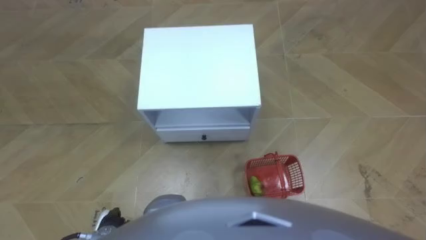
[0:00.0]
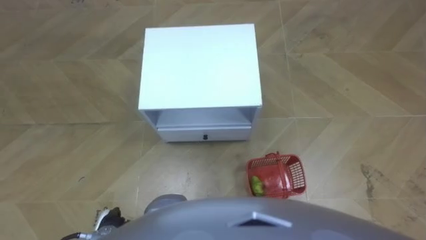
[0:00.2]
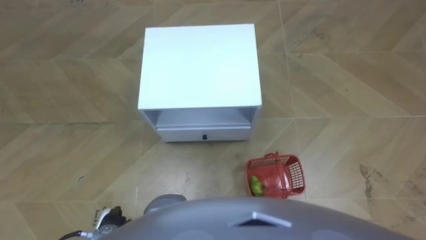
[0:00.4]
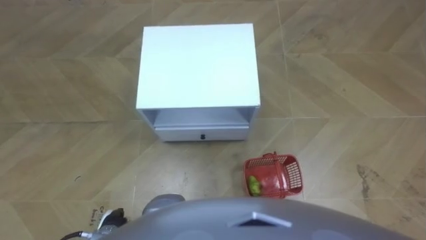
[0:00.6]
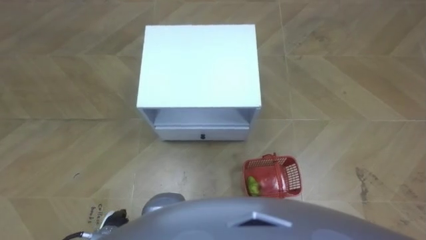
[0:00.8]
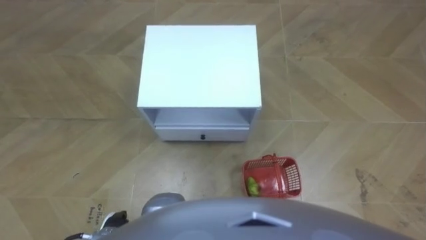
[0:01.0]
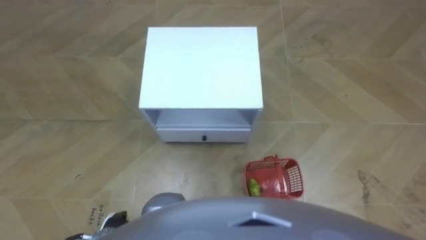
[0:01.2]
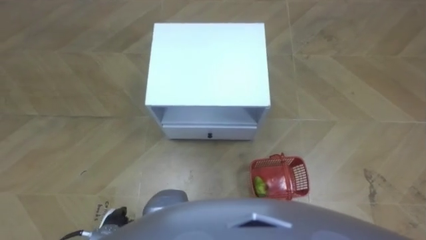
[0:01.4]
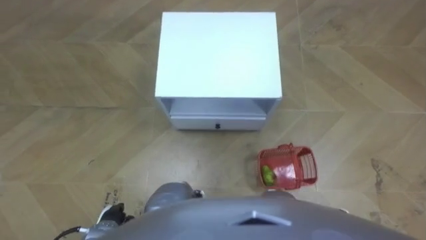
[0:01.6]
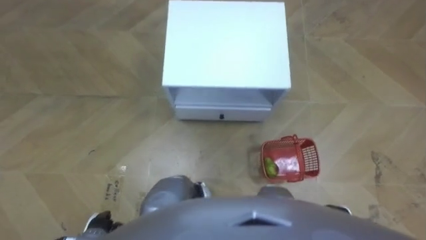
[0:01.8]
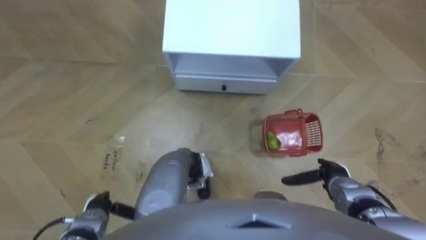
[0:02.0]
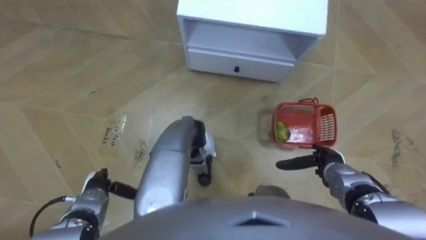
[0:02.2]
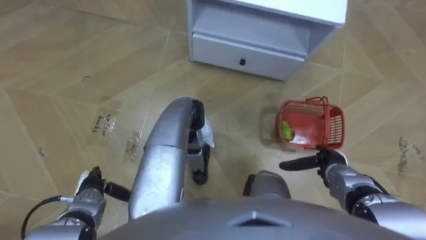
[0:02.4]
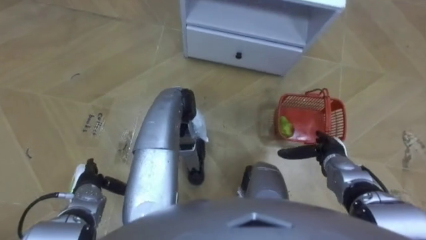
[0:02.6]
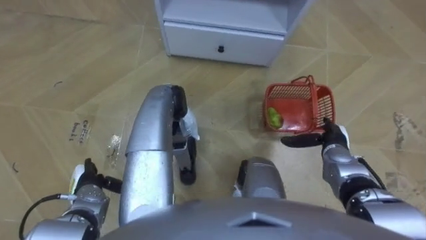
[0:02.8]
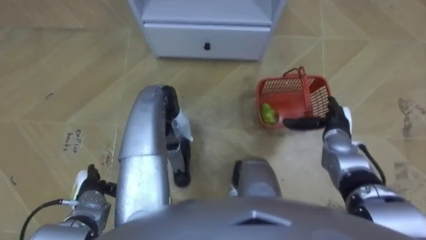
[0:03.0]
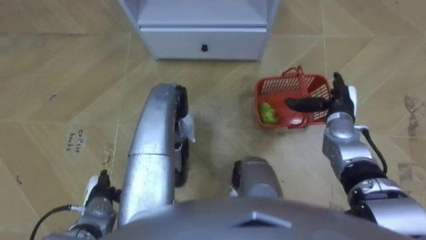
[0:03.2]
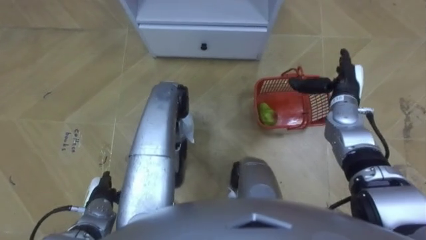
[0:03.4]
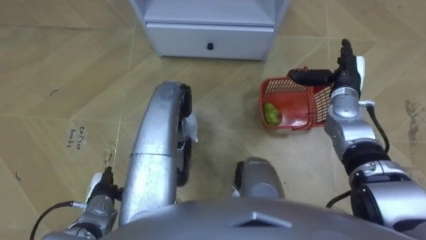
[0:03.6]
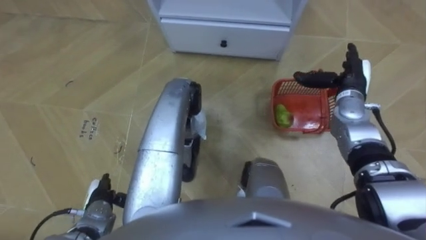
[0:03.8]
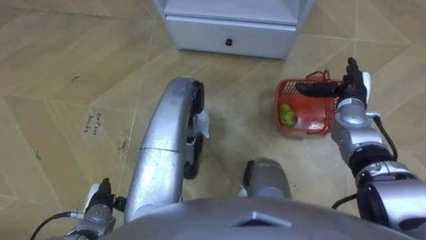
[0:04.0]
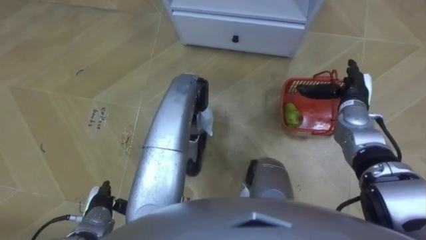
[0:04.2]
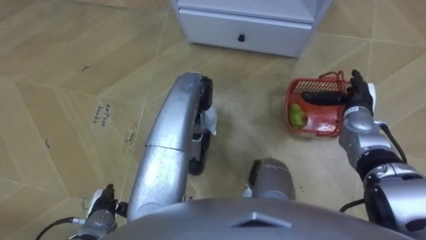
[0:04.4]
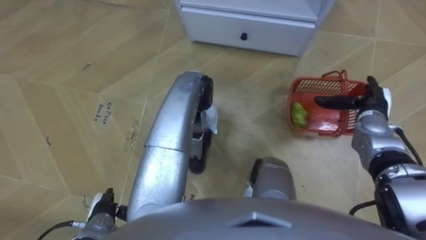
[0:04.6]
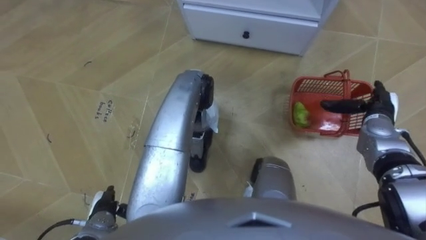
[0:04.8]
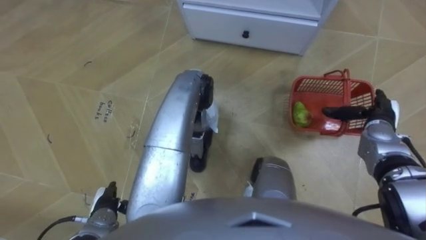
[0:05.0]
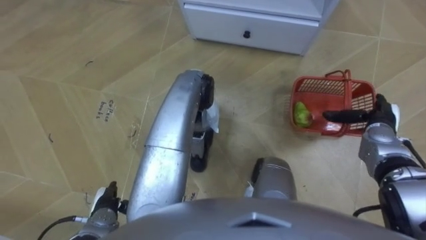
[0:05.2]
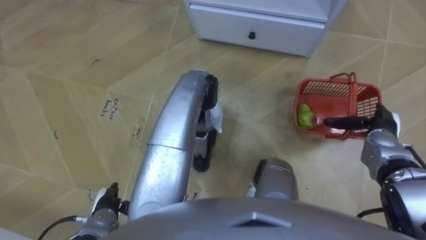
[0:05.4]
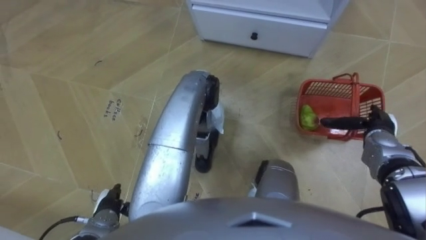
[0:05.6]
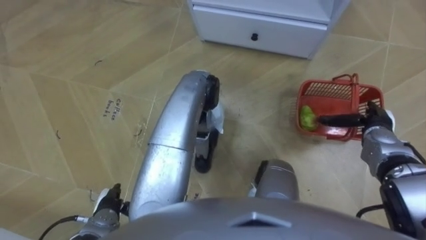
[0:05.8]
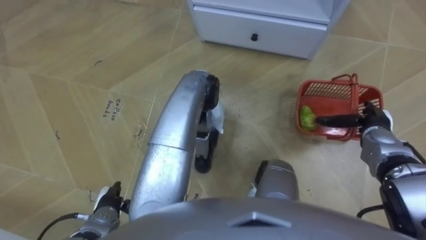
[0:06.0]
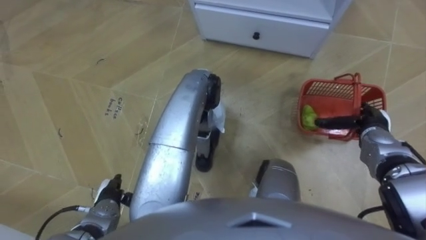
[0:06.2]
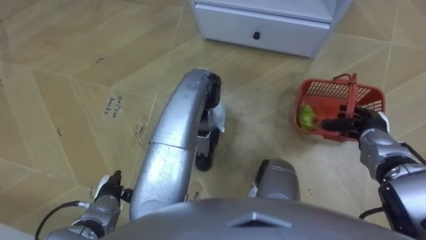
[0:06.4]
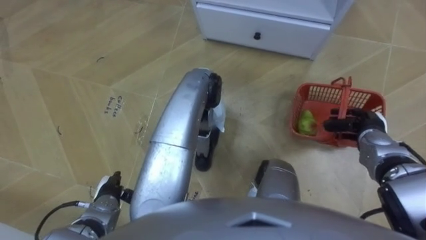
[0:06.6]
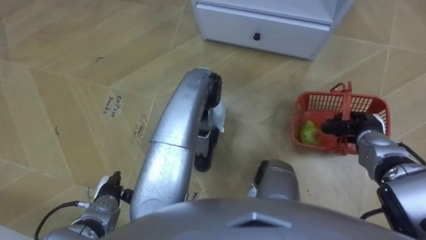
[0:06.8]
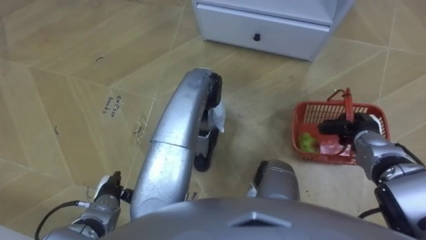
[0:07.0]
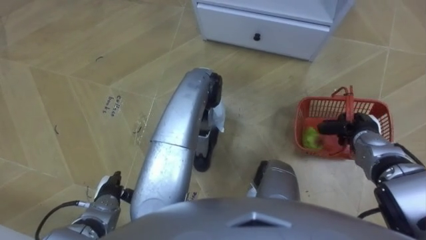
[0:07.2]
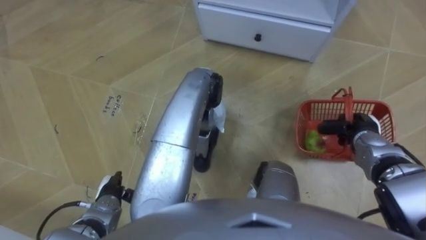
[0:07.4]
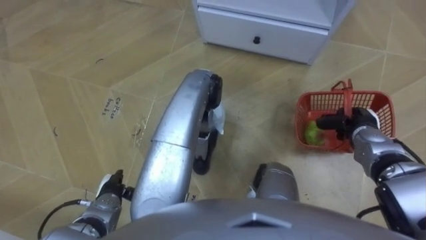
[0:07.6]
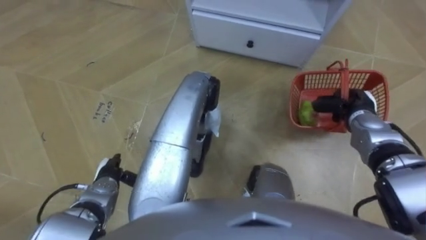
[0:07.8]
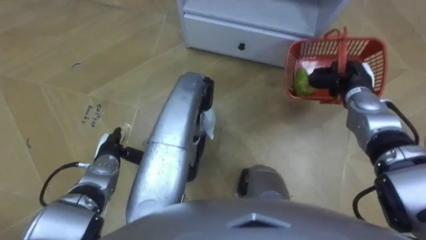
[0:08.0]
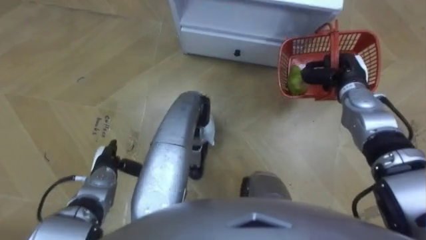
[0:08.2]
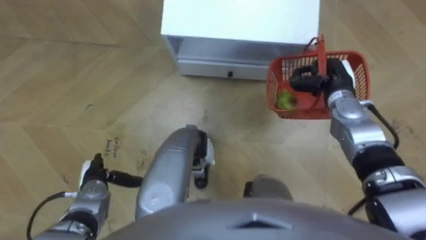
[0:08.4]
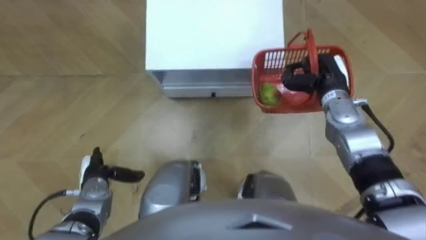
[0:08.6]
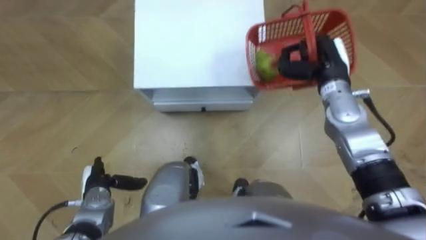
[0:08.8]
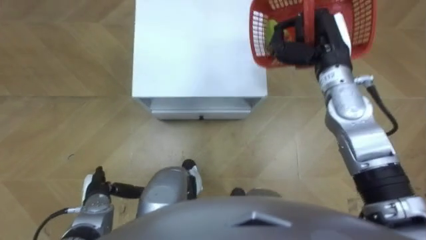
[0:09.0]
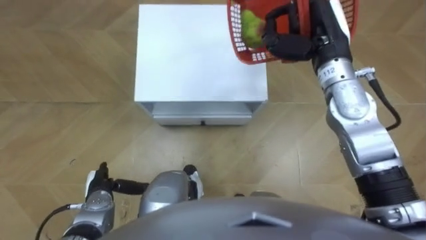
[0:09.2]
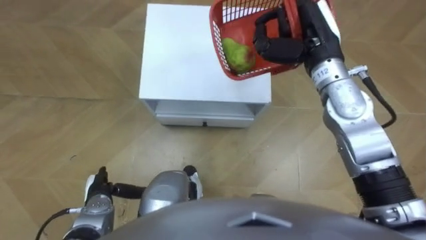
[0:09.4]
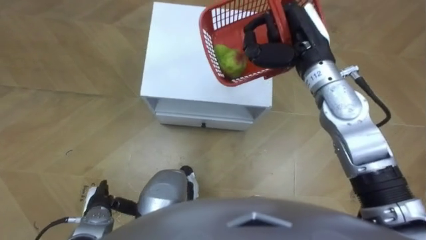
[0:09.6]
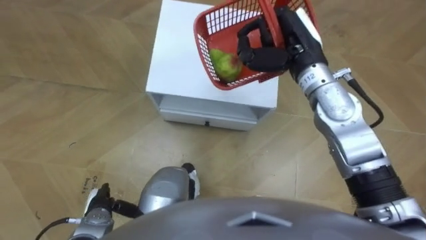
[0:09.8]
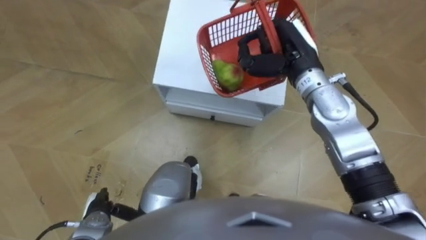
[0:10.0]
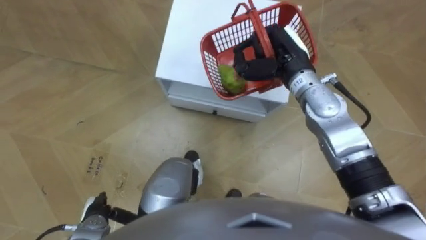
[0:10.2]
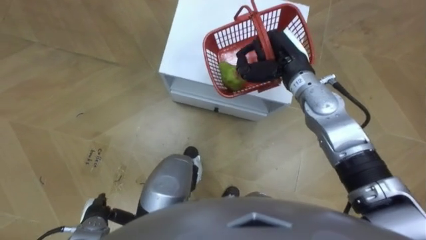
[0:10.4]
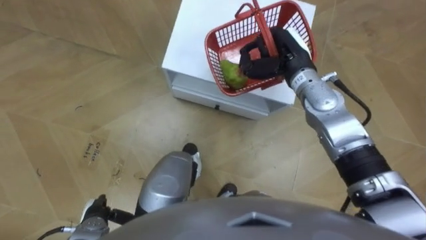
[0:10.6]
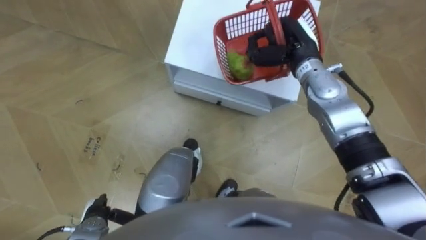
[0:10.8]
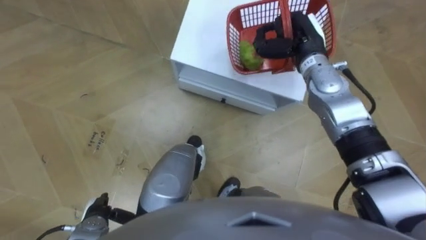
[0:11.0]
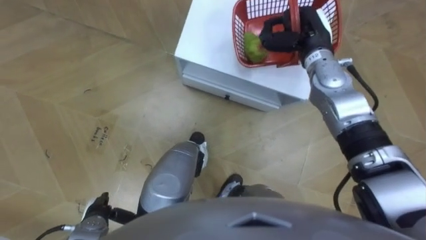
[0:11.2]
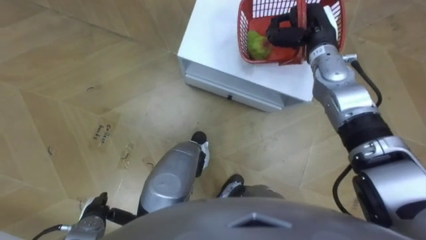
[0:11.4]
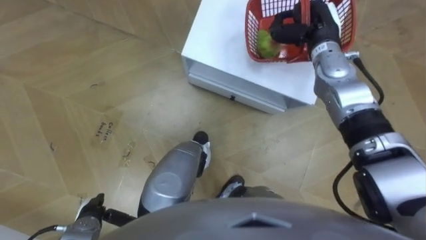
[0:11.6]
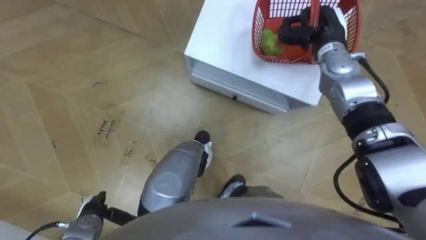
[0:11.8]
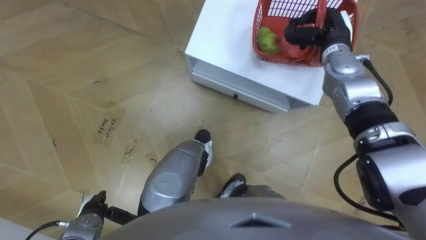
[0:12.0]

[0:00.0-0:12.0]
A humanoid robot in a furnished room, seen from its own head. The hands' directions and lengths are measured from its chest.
Task of the whole recording: Pick up the fruit basket from the floor and place it on the cabinet.
1.6 to 3.0 s: The right hand heads forward, covering roughly 25 cm. Meanwhile the left hand heads forward, covering roughly 10 cm.
3.0 to 4.4 s: The left hand changes place by about 5 cm.
4.4 to 6.0 s: The right hand shifts by some 5 cm.
6.0 to 7.6 s: The right hand closes up.
7.6 to 9.0 s: The right hand shifts about 25 cm upward, to the left and forward. The left hand travels forward and back again, some 10 cm each way.
9.0 to 10.4 s: The left hand travels backward by some 5 cm, while the right hand heads to the left, covering approximately 5 cm.
10.4 to 12.0 s: The right hand heads to the right and forward, covering about 10 cm.

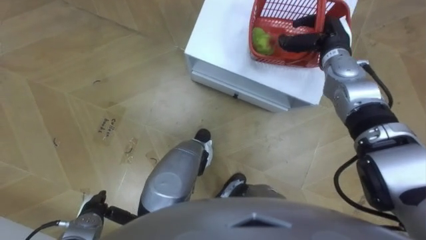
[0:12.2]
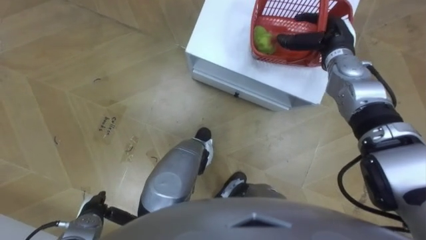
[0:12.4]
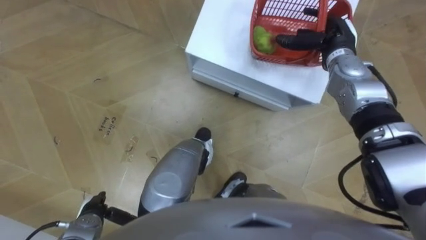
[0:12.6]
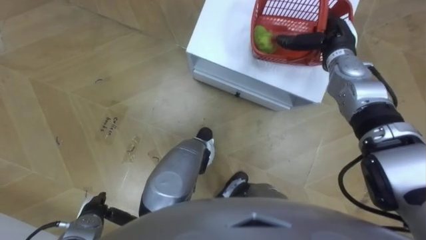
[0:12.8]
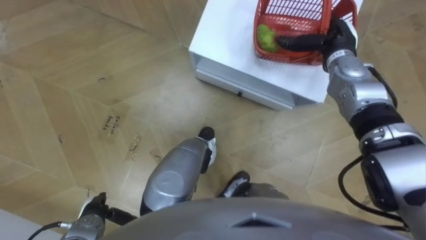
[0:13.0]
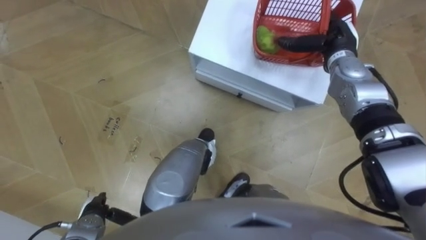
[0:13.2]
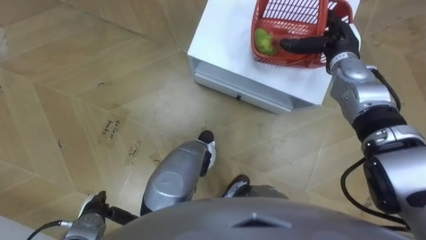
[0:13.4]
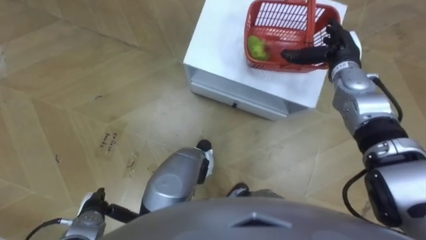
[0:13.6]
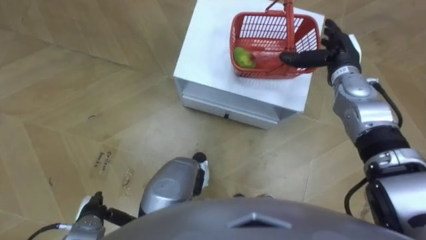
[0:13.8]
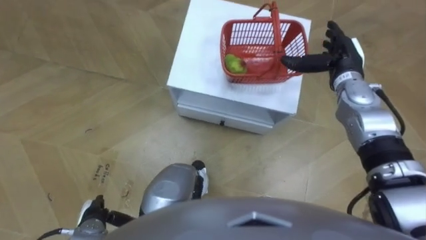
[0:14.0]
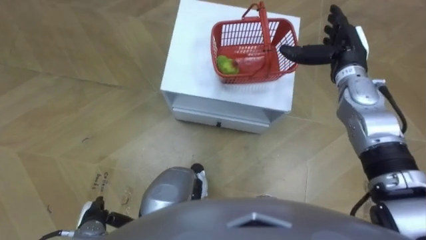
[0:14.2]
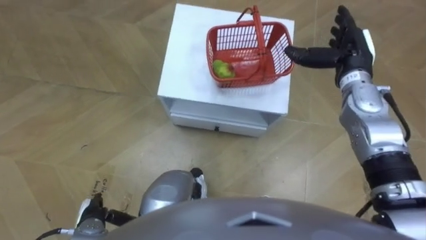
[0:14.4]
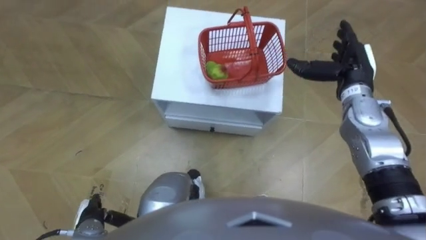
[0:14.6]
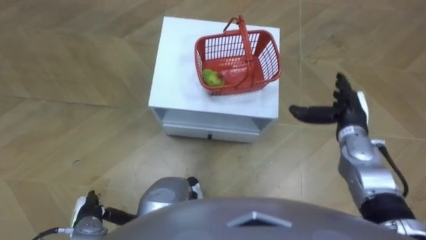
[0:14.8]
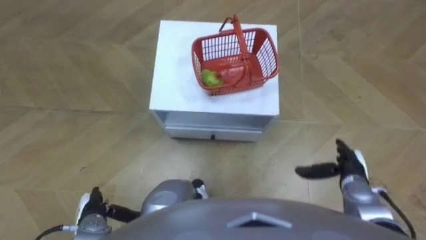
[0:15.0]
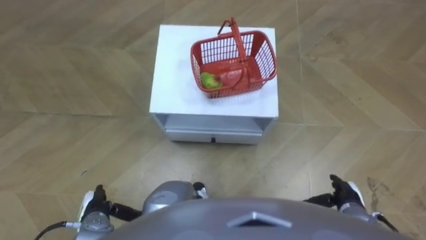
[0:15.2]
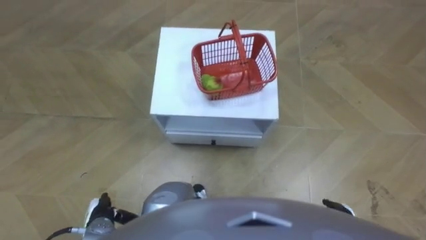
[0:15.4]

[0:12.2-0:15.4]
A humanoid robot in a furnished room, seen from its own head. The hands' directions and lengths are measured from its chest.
Task of the whole recording: Pick up the fruit basket from the floor and place it on the cabinet.
12.2 to 13.8 s: The right hand opens up.
13.8 to 15.4 s: The right hand moves backward and downward, approximately 35 cm.

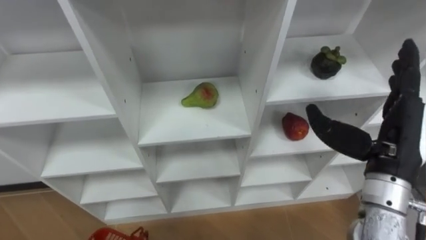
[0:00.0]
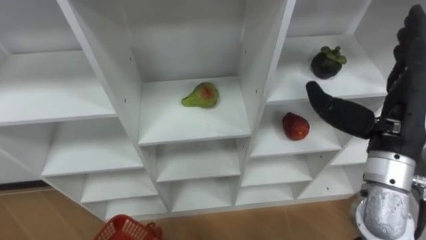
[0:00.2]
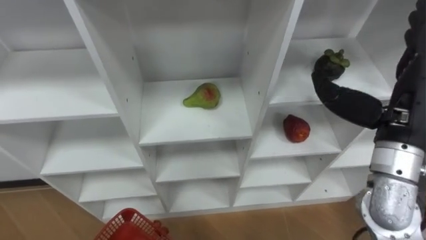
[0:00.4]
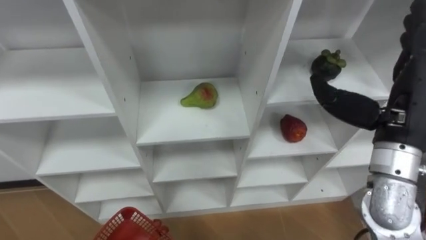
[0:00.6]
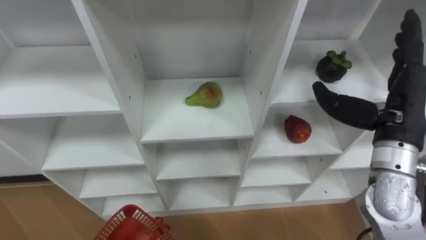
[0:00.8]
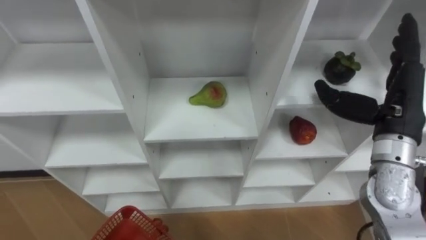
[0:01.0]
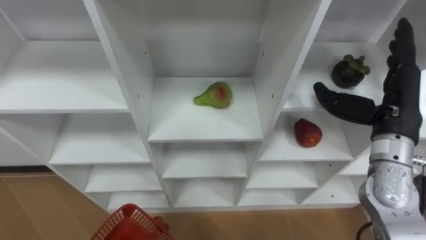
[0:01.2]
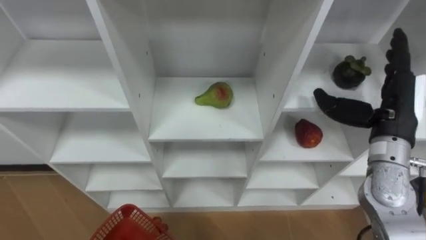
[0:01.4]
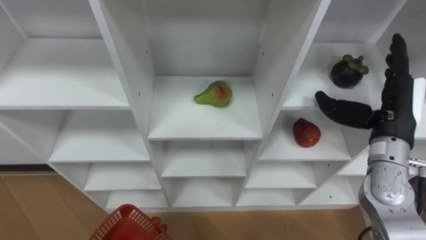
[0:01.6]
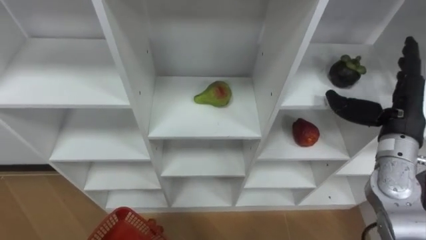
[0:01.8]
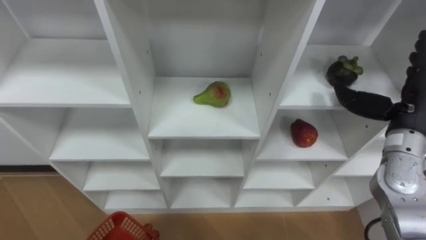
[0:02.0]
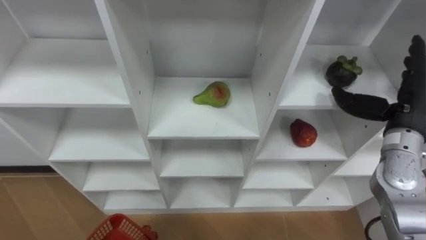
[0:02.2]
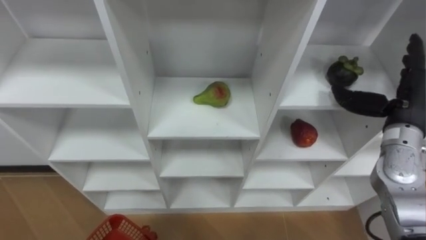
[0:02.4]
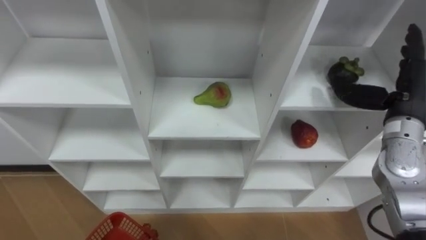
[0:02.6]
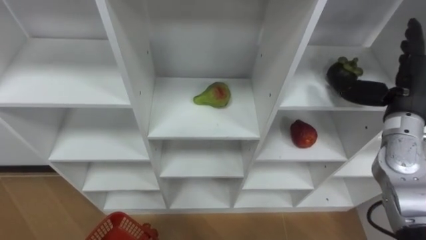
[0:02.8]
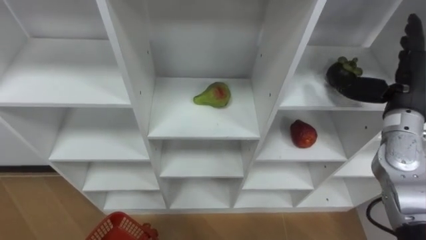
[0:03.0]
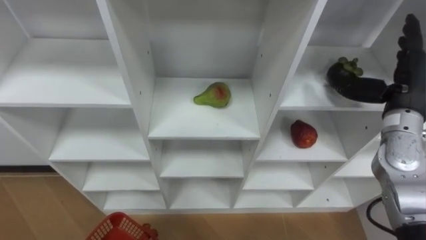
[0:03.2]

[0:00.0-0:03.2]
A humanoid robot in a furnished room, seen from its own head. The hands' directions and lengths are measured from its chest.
Task of the whole recording: Hold the basket and collect the fruits from 3 different cells of the closet into it.
0.0 to 1.6 s: The right hand heads forward, covering about 5 cm.
